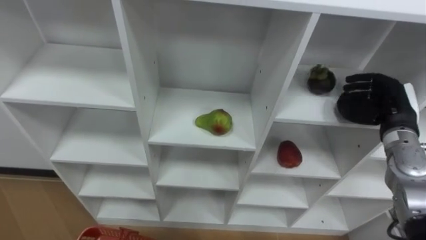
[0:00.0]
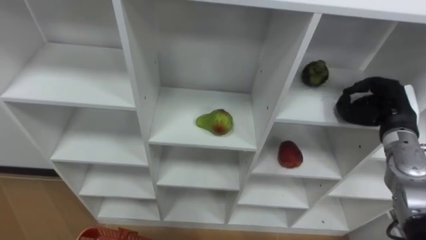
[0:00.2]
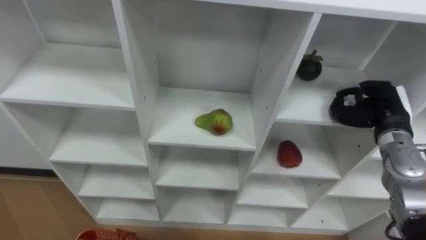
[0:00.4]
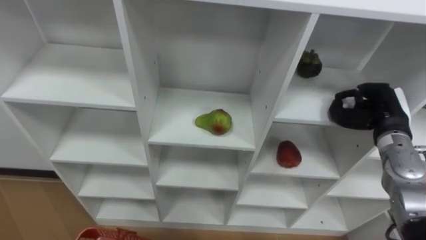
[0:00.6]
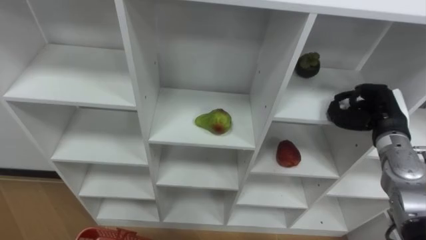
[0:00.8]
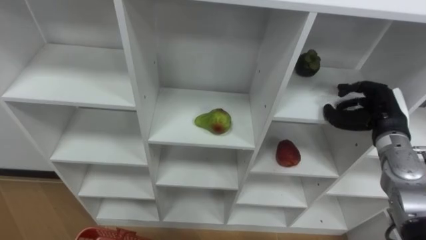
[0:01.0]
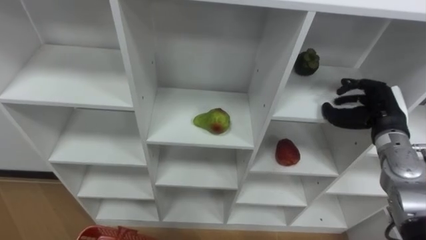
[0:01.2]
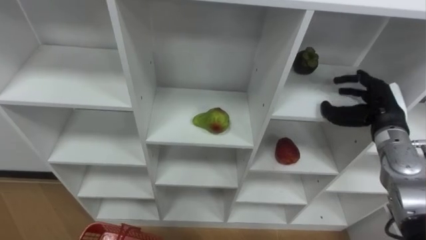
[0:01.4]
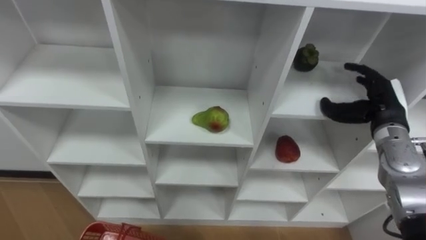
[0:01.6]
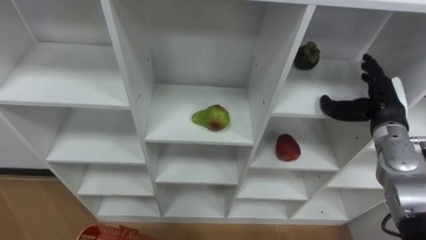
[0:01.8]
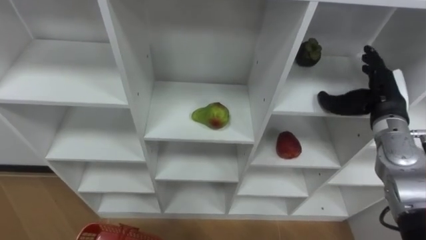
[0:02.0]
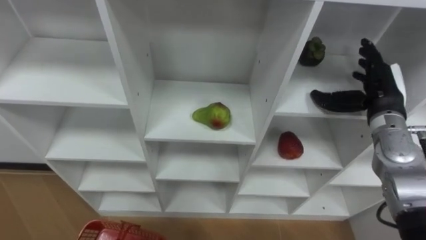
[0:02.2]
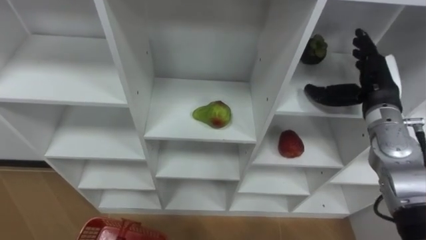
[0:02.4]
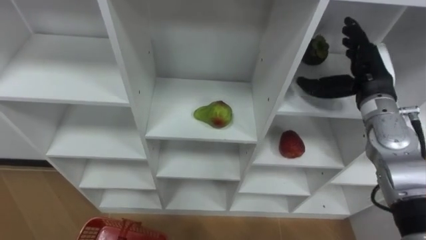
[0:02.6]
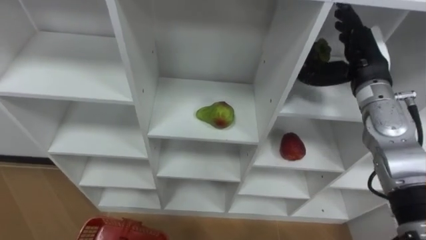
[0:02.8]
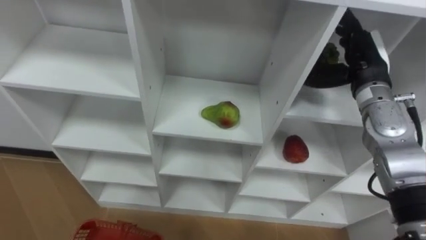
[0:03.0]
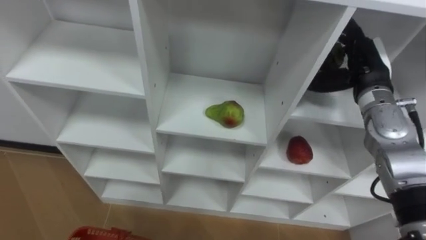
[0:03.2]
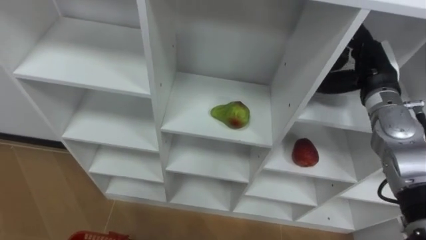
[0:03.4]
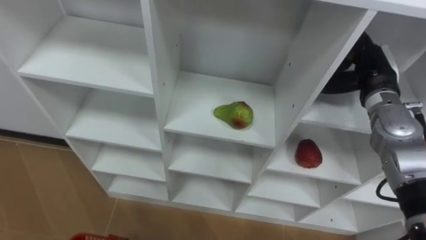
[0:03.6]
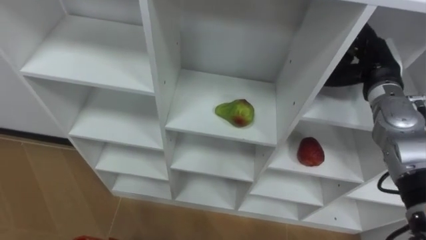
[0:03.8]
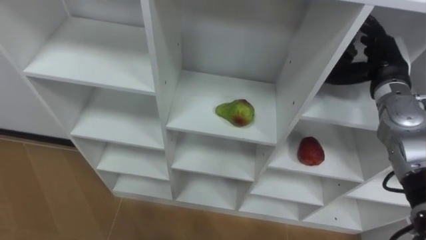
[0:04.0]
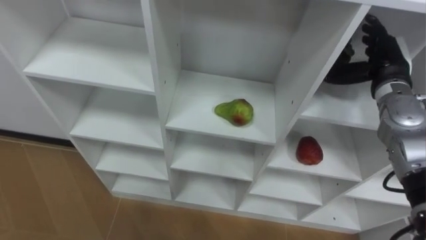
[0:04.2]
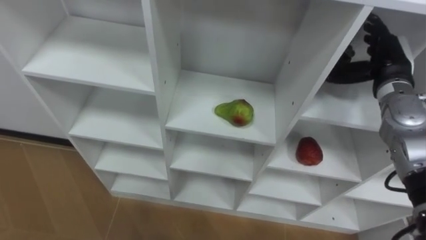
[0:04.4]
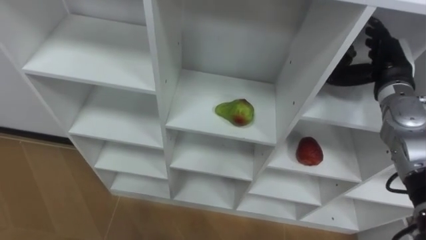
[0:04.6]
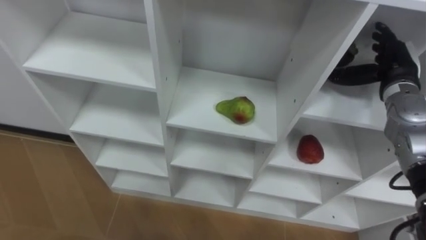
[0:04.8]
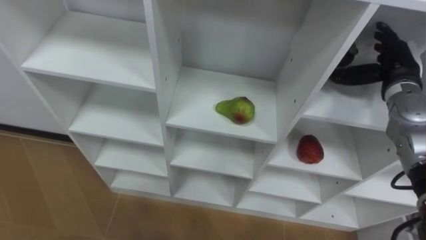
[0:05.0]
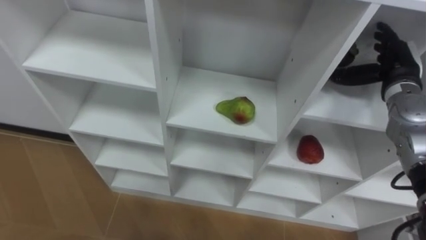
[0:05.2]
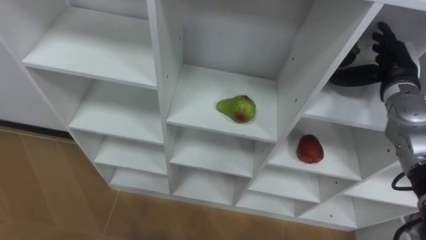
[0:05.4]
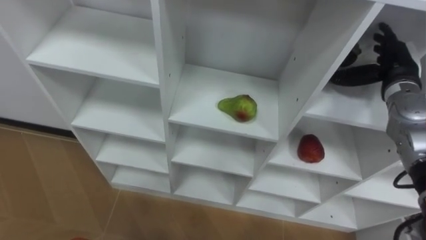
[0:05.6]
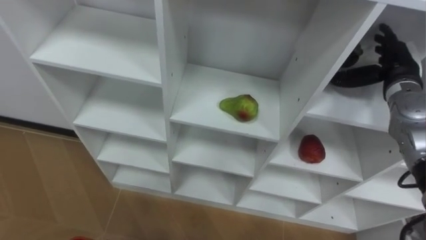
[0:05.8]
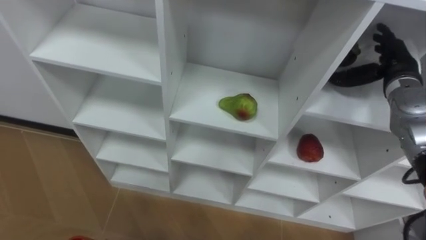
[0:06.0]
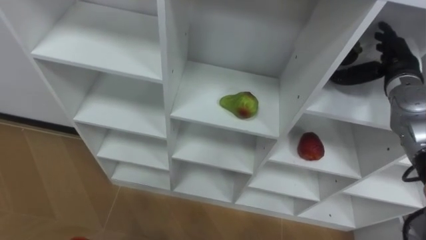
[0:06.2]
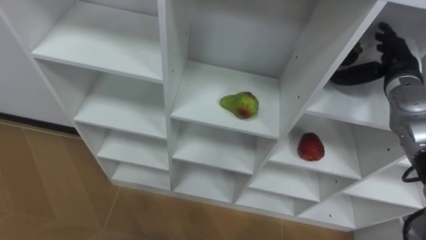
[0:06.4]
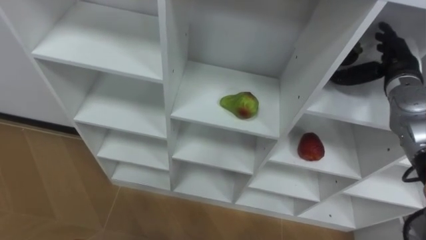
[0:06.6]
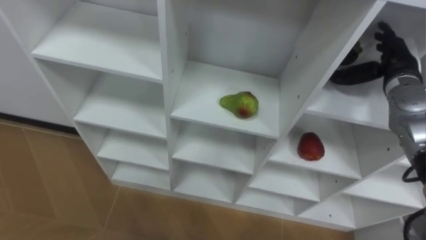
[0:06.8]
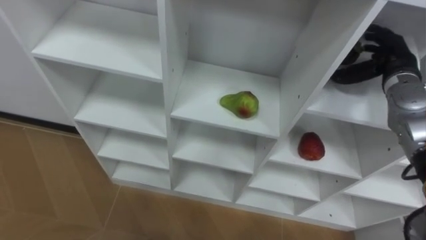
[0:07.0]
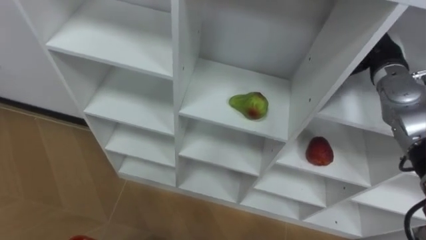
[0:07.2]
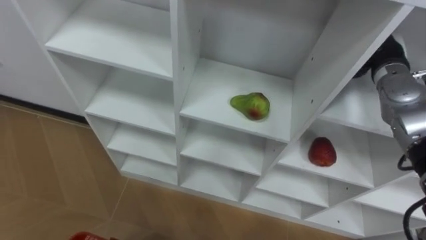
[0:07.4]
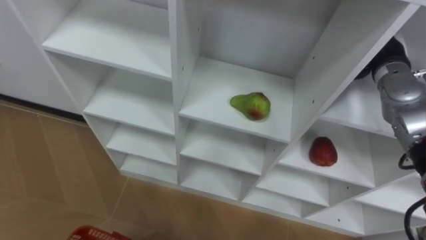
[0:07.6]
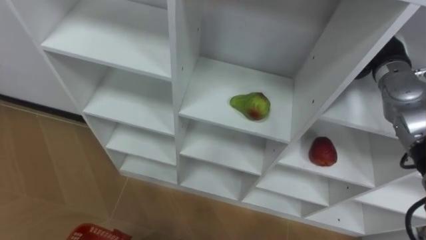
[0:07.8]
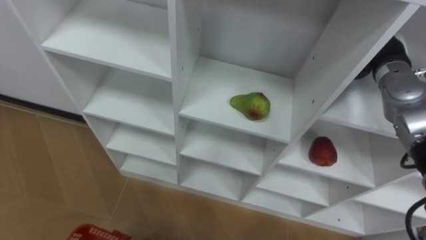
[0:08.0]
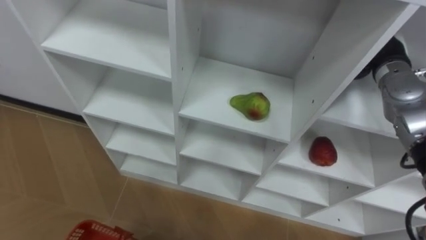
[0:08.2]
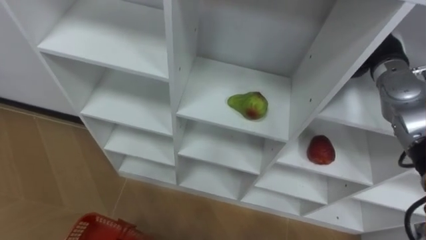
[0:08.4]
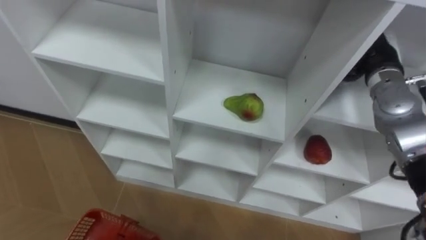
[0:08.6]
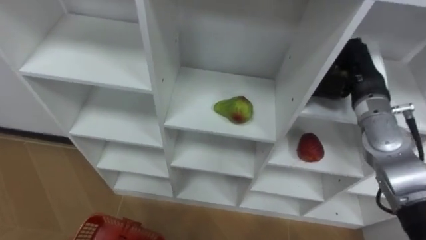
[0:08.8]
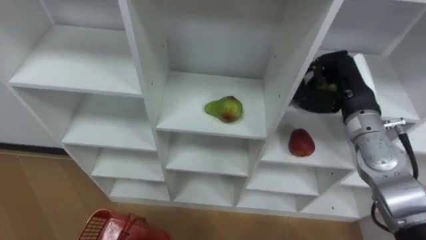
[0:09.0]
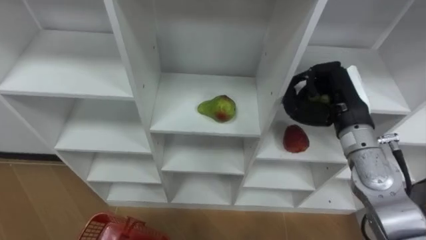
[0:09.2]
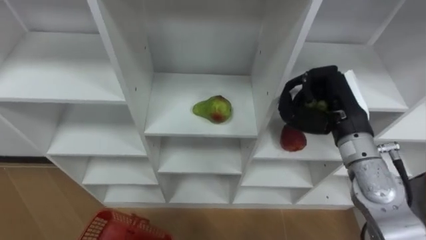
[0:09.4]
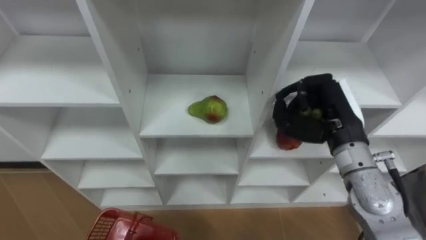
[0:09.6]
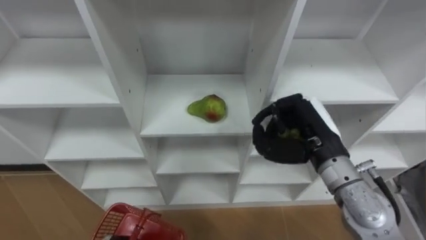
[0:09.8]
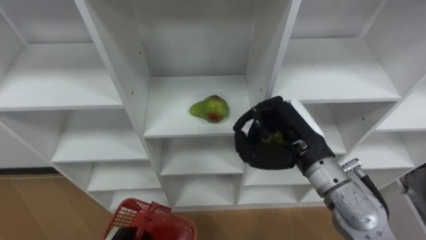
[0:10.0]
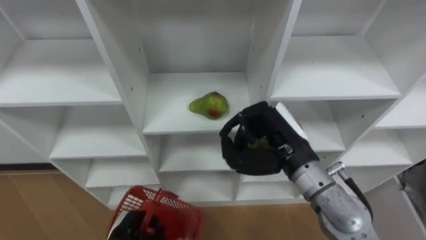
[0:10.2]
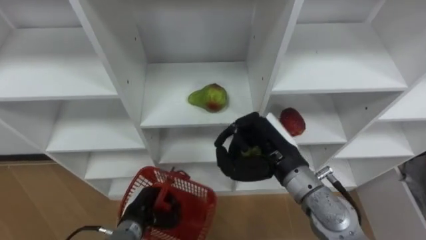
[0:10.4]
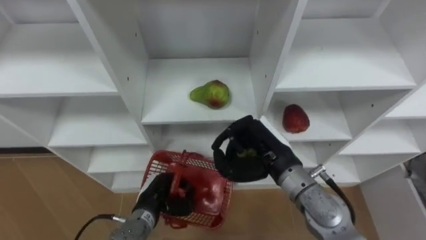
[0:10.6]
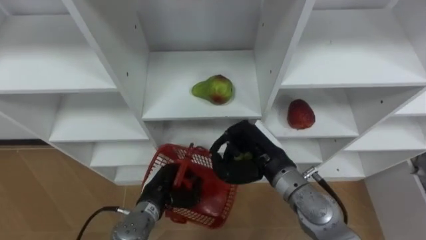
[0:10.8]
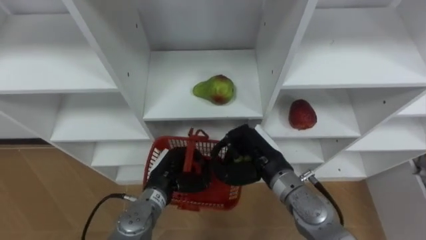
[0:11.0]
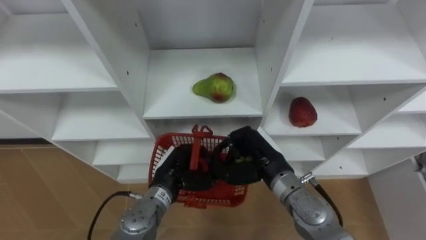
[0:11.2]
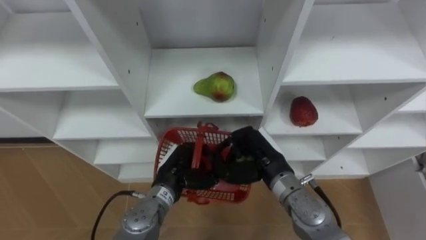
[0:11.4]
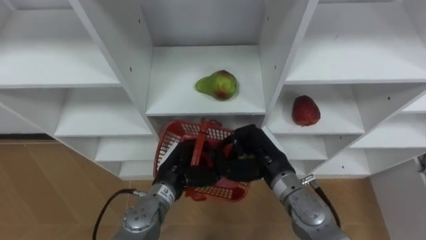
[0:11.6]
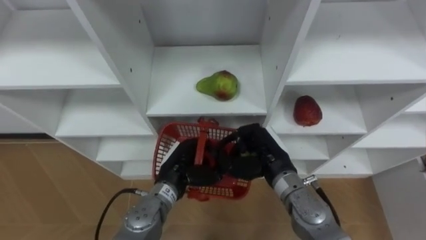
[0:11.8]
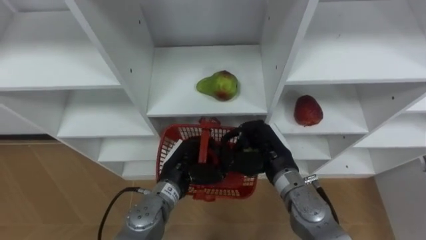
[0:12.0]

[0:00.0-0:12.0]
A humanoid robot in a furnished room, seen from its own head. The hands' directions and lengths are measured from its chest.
Task of the whole recording: Hold the basket and collect the fruits from 3 different cells of the closet into it.
0:00.0 to 0:01.6: The right hand opens up.
0:01.6 to 0:03.0: The right hand travels upward and to the left by about 10 cm.
0:03.0 to 0:04.4: The right hand shifts by about 5 cm.
0:06.0 to 0:07.6: The right hand closes up.
0:07.6 to 0:09.0: The right hand travels backward and to the left by some 10 cm.
0:09.0 to 0:10.4: The right hand shifts about 15 cm to the left and backward.
0:10.4 to 0:12.0: The right hand is displaced downward by roughly 5 cm. The left hand heads upward, to the right and forward, covering some 15 cm.

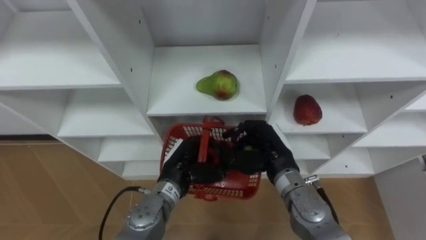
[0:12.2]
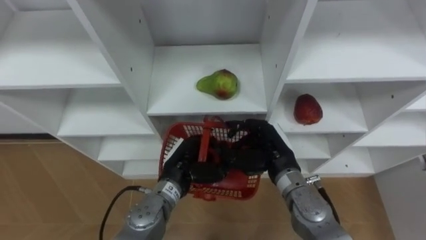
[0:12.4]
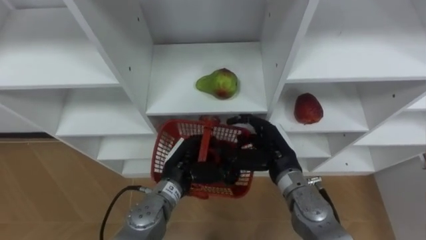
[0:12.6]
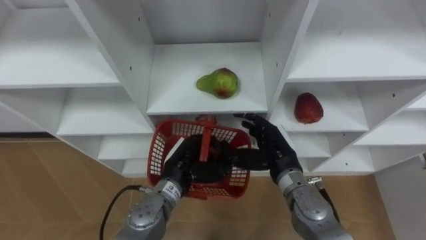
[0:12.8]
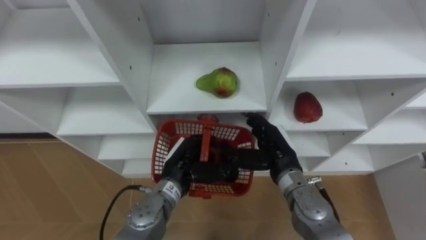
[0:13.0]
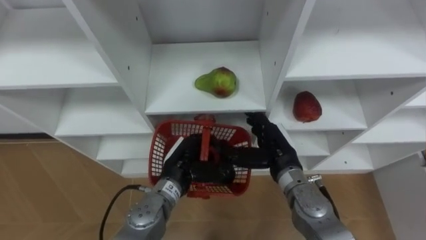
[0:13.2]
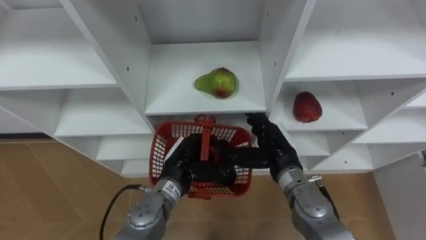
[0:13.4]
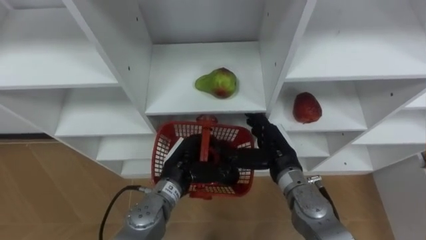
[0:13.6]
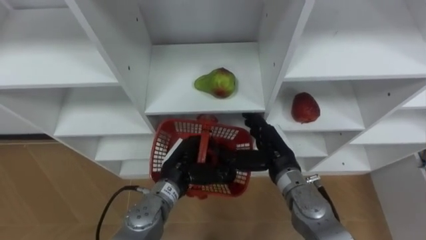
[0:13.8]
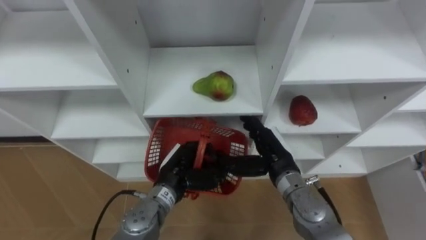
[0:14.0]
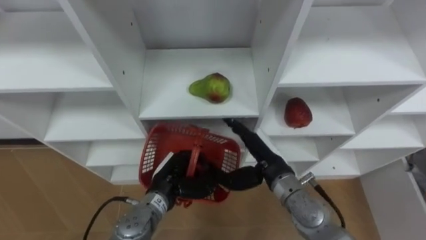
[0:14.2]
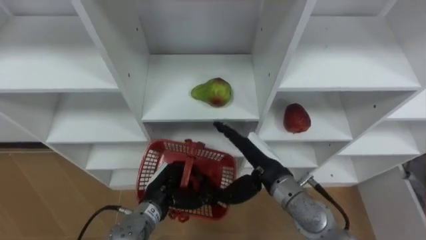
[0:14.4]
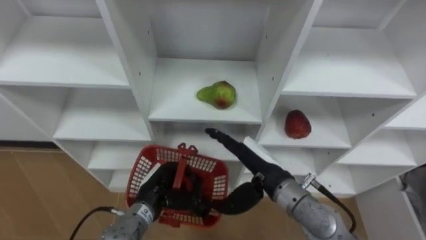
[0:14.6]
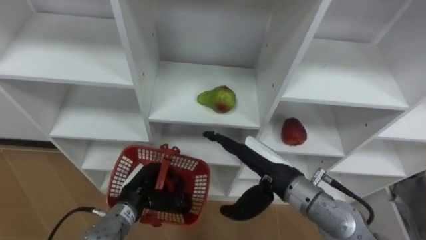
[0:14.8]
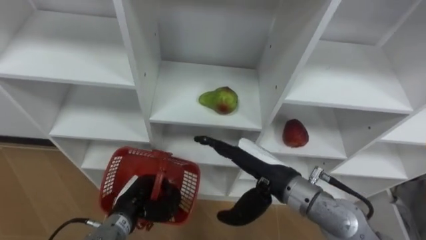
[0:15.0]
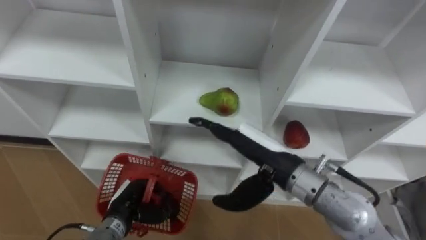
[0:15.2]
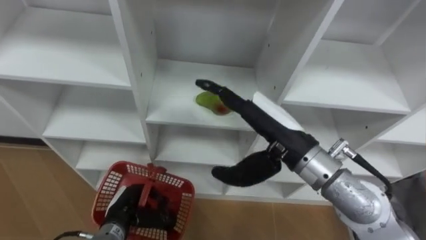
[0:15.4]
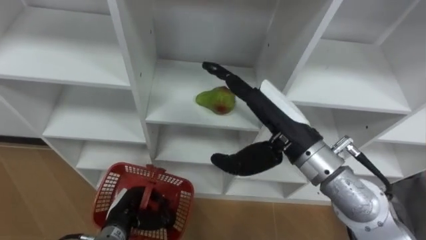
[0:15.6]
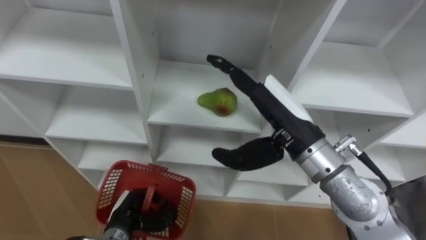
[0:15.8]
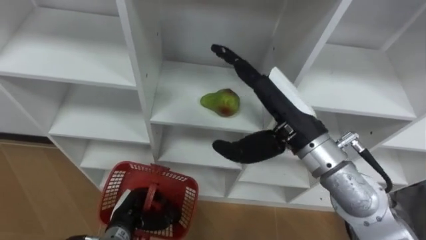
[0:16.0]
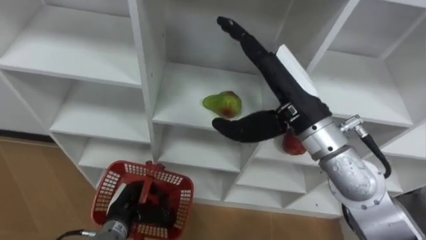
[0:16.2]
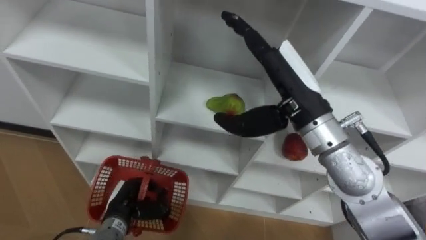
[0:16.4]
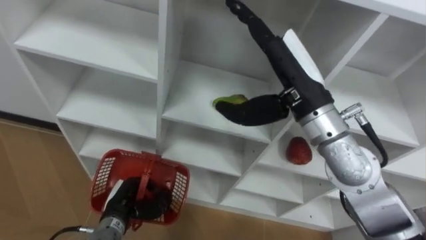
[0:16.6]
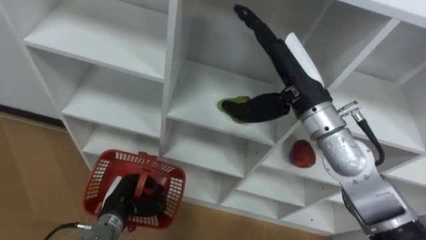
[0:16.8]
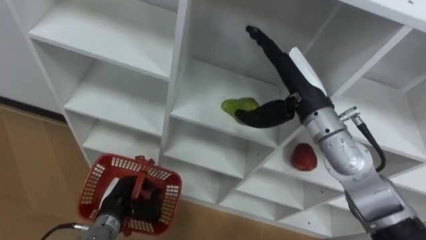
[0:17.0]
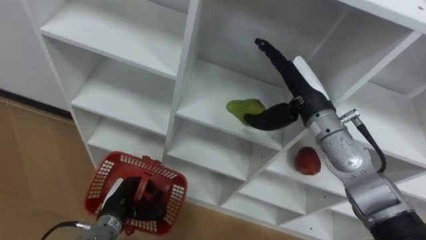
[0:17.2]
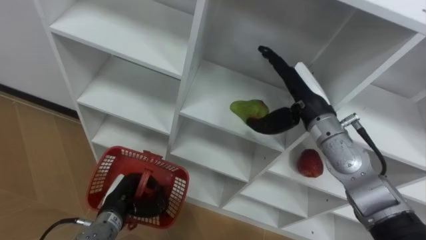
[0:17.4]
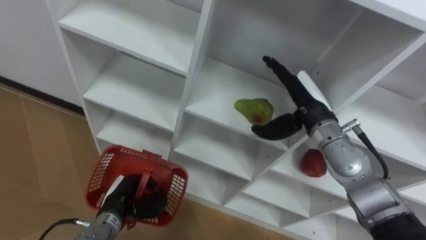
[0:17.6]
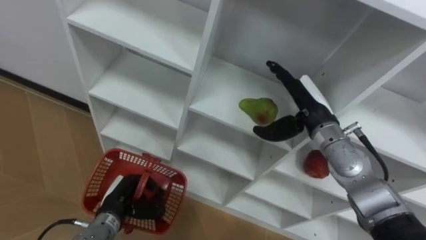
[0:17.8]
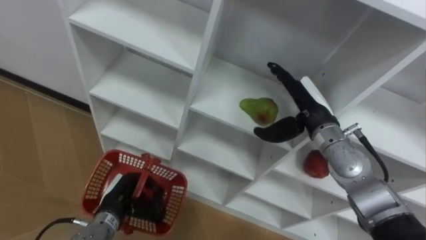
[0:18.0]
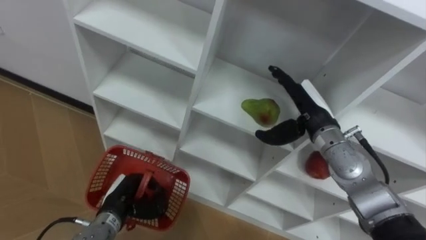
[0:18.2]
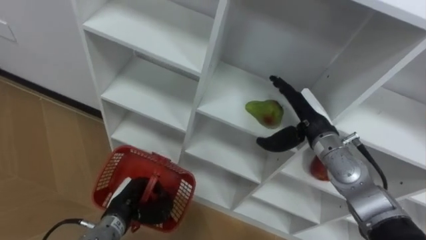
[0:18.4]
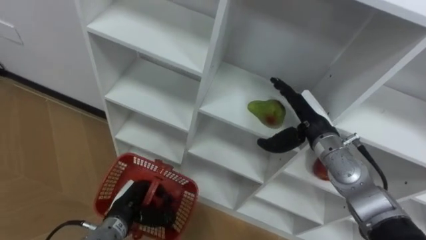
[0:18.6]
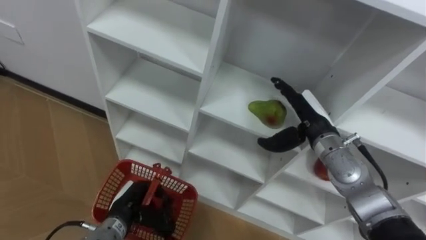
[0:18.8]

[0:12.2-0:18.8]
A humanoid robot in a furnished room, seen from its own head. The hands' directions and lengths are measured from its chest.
Task of the whole recording: Hold the basket and collect the fruits from 3 different cells of the closet into it.
0:12.2 to 0:13.8: The right hand opens.
0:13.8 to 0:15.4: The right hand moves upward, approximately 15 cm; the left hand moves to the left, downward and backward, approximately 15 cm.
0:15.4 to 0:17.2: The right hand moves forward and to the right, about 10 cm.
0:17.2 to 0:18.8: The right hand travels downward by about 10 cm.
